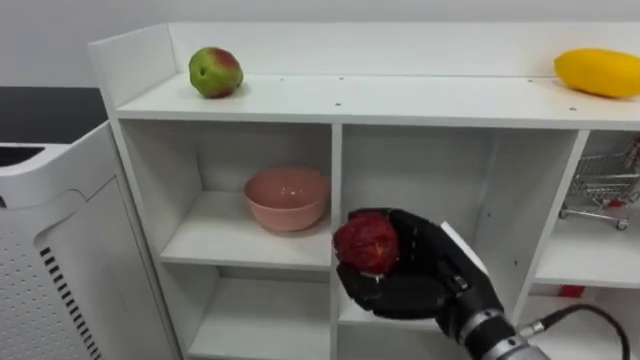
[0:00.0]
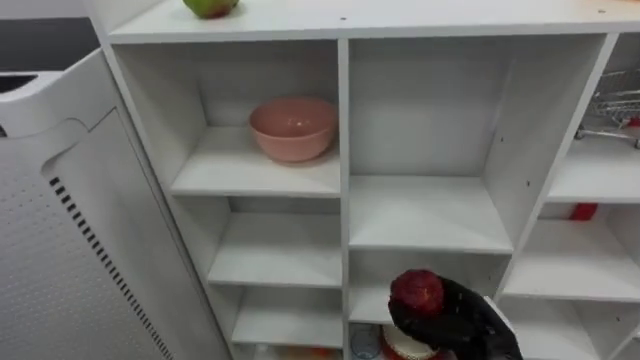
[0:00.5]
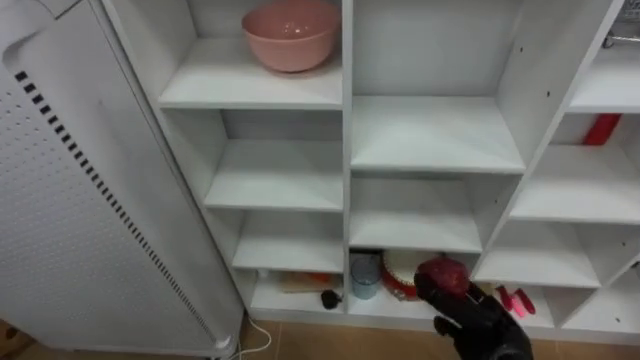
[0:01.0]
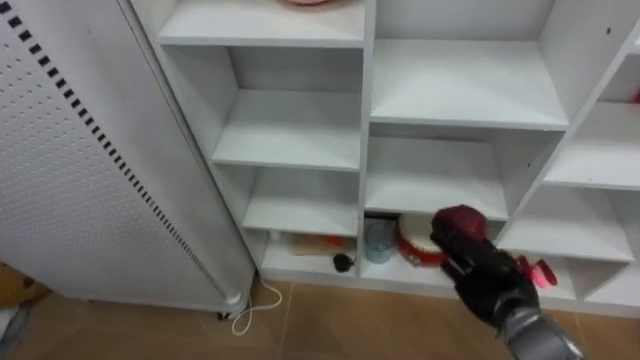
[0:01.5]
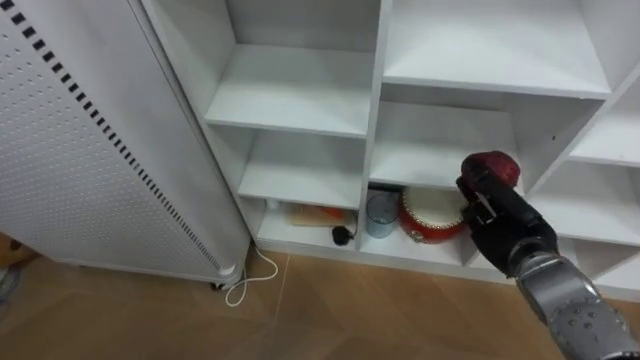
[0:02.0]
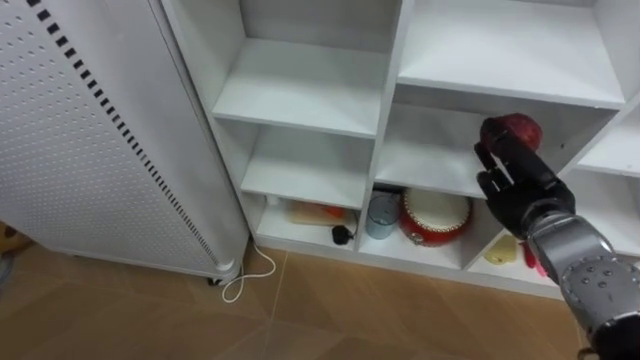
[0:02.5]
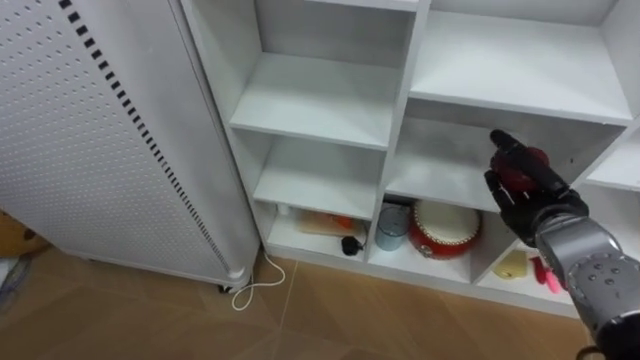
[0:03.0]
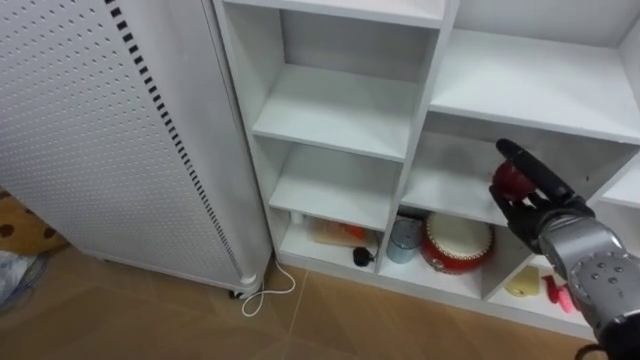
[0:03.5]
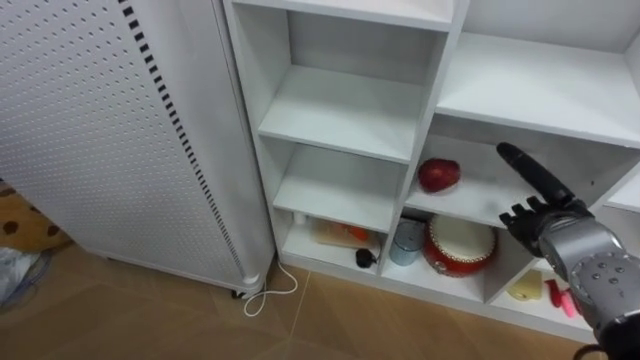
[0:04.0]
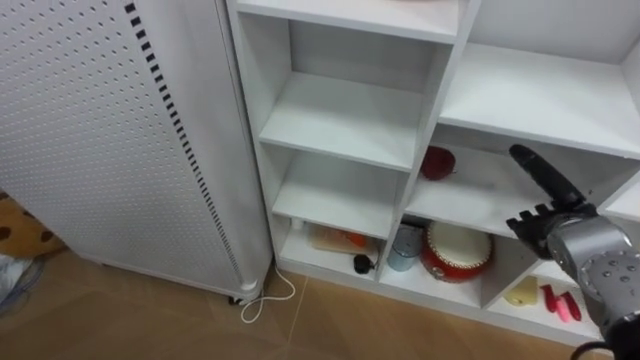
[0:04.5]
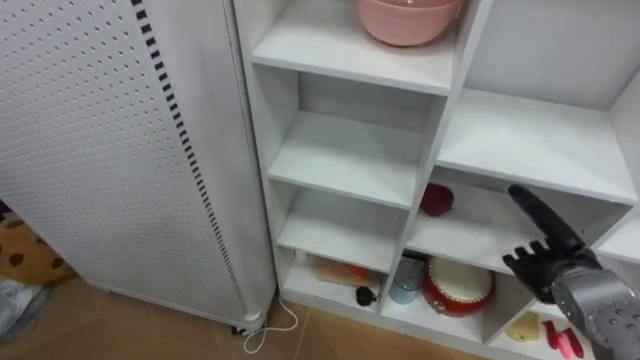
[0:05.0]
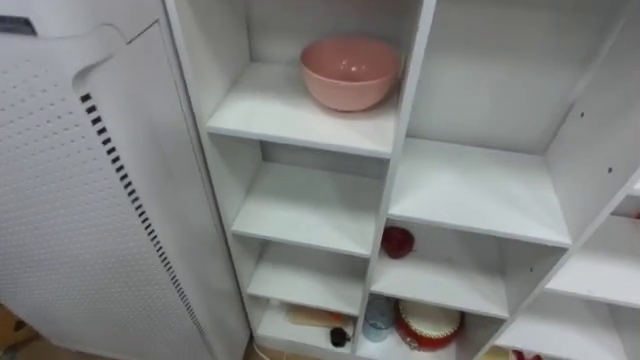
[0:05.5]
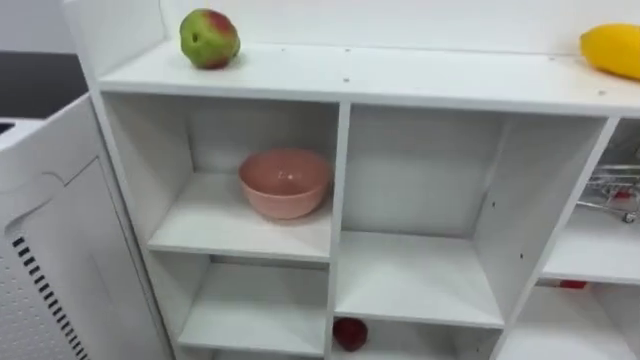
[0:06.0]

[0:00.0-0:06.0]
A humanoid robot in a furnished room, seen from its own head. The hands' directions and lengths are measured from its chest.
Task of the whole recording: Put the apple in the cell in the second column from the left and the second row from the top.
0:00.0 to 0:02.0: The right hand goes some 15 cm to the right and forward, and travels downward and back again, roughly 15 cm each way.
0:02.0 to 0:04.0: The right hand opens.

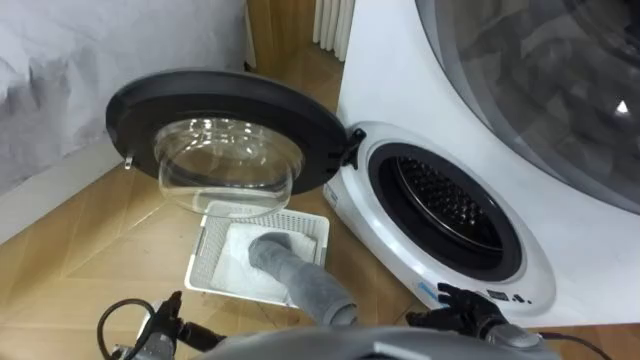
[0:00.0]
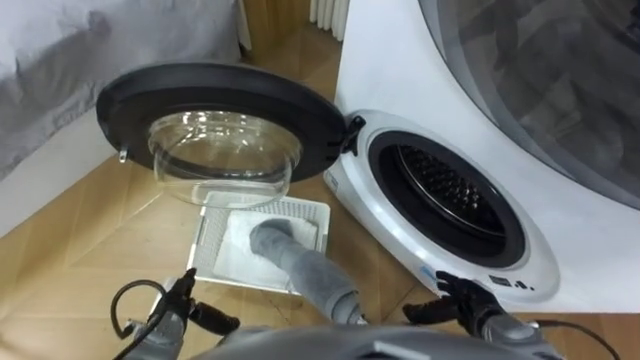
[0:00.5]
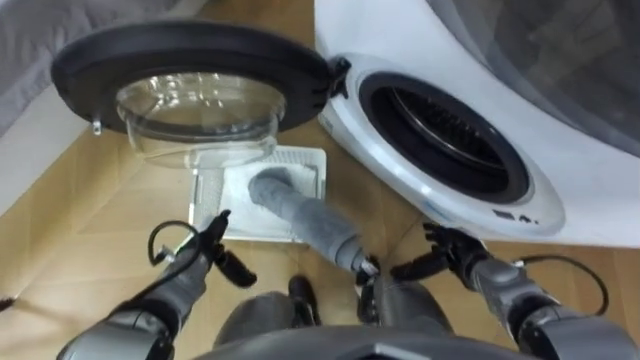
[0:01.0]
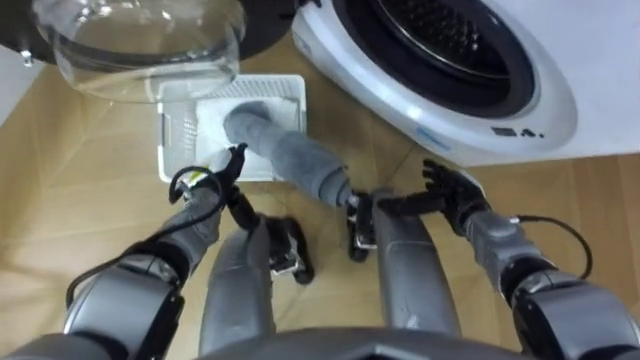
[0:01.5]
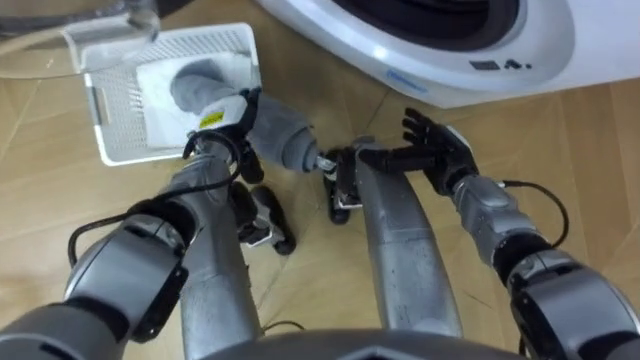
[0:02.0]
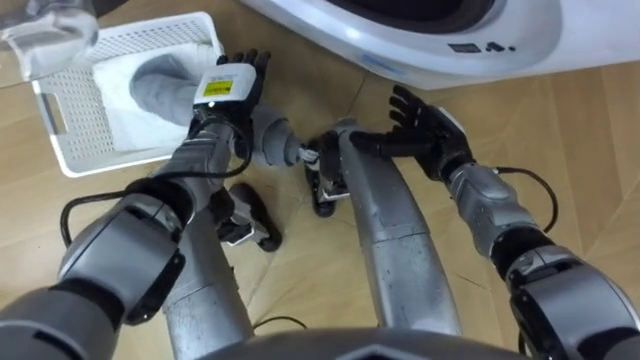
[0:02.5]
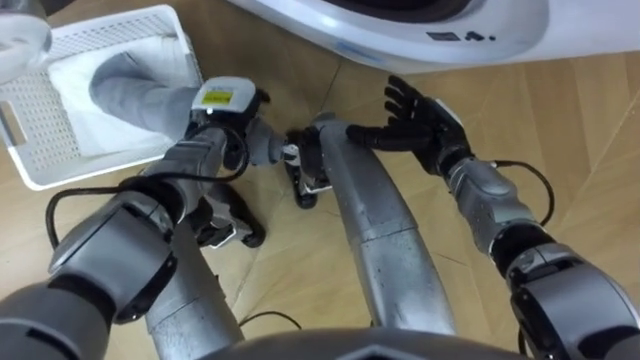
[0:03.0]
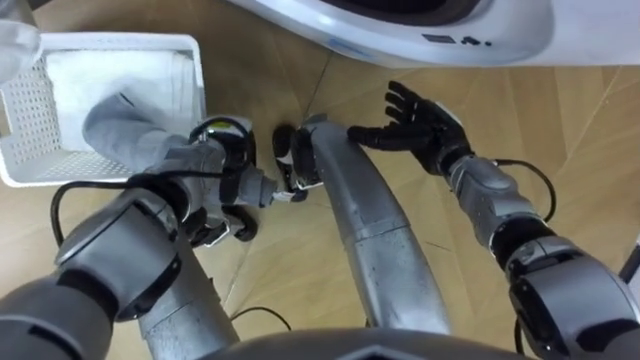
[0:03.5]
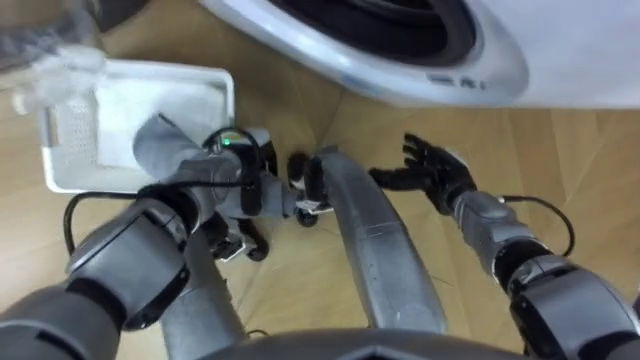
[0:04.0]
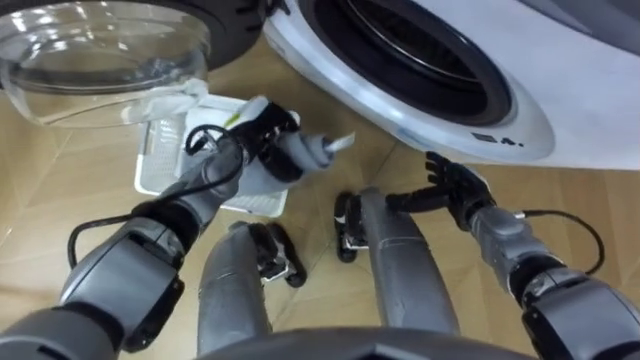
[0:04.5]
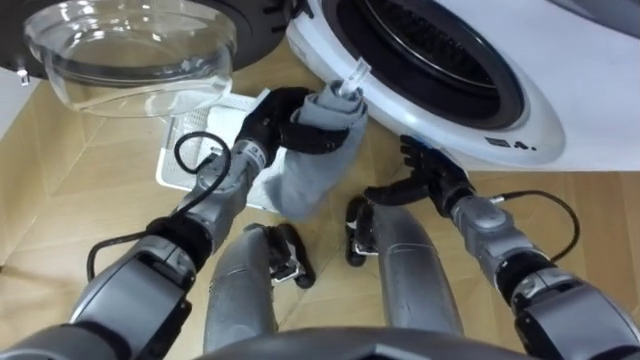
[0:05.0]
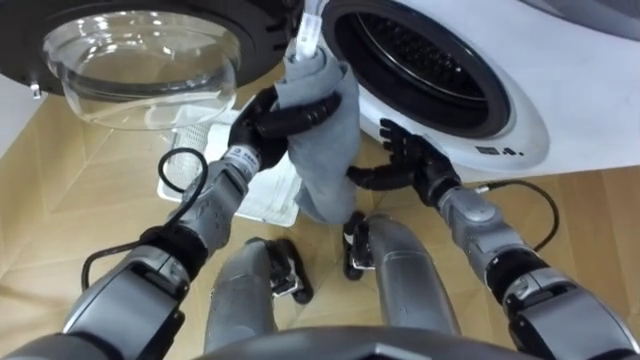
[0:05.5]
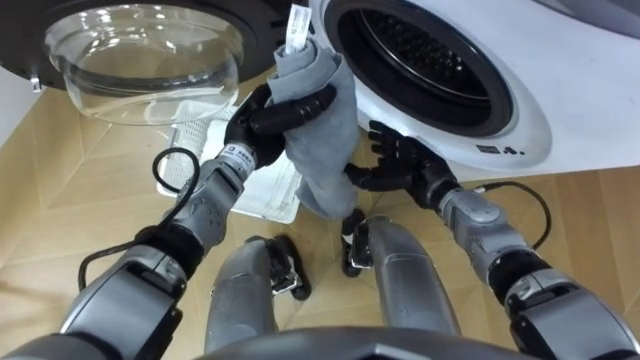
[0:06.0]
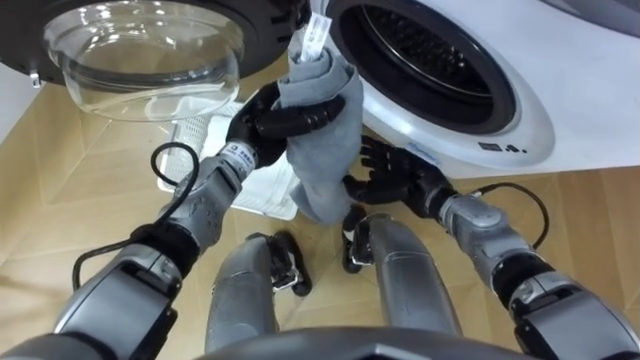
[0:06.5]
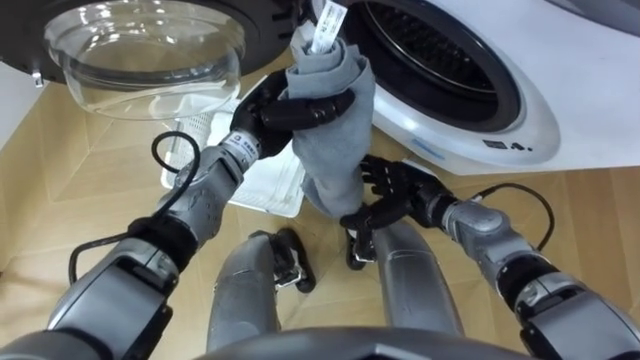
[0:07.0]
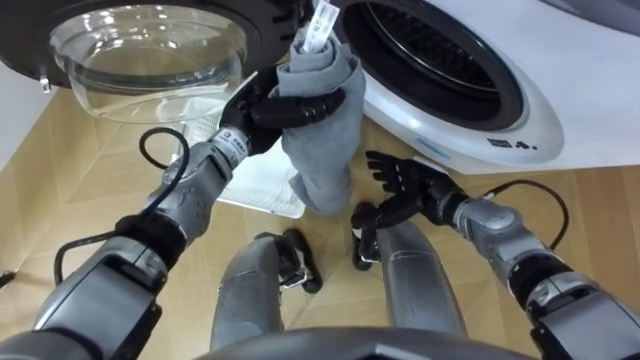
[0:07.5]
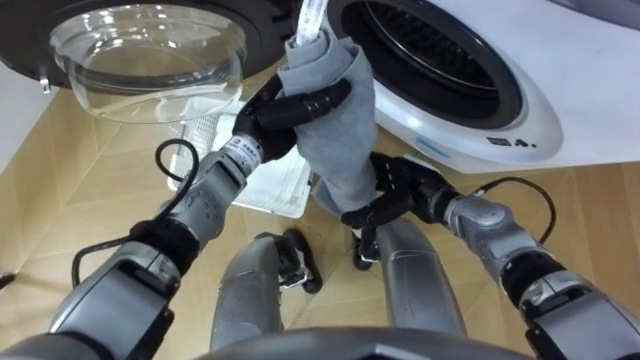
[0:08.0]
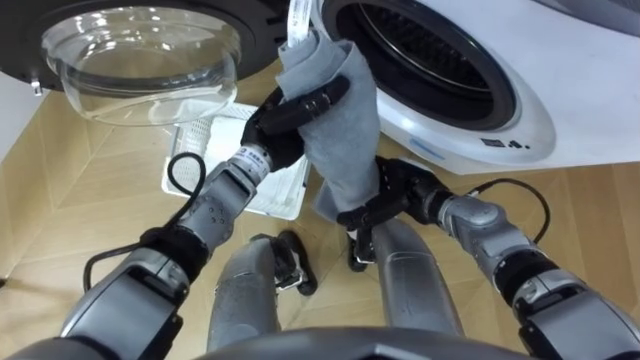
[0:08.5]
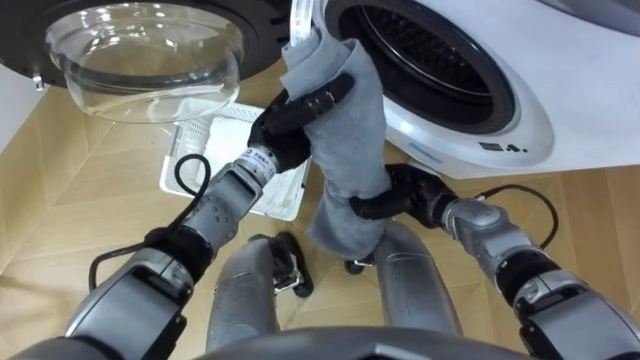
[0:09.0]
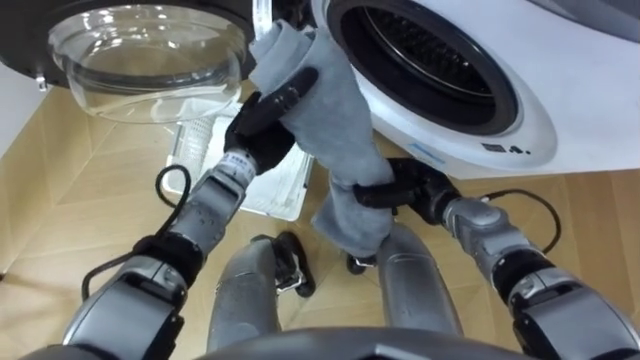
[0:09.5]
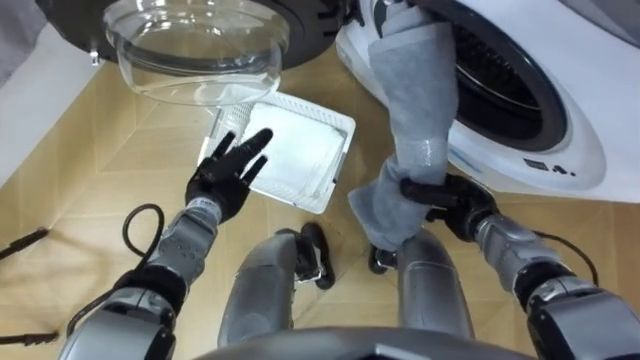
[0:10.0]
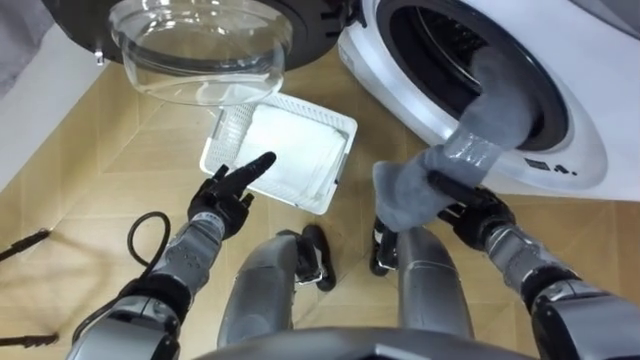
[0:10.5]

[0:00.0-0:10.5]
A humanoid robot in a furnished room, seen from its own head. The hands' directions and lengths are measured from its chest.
Task of the whole recording: Take the towel from the basket and put it into the washing machine.
0:02.0 to 0:04.0: The left hand closes up.
0:04.0 to 0:06.5: The left hand moves upward, some 5 cm; the right hand moves about 5 cm.
0:08.5 to 0:10.5: The left hand goes approximately 20 cm downward, to the left and backward, and opens. The right hand shifts approximately 10 cm to the right, and closes up.

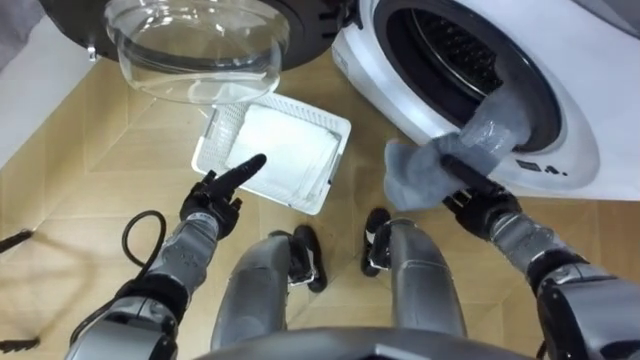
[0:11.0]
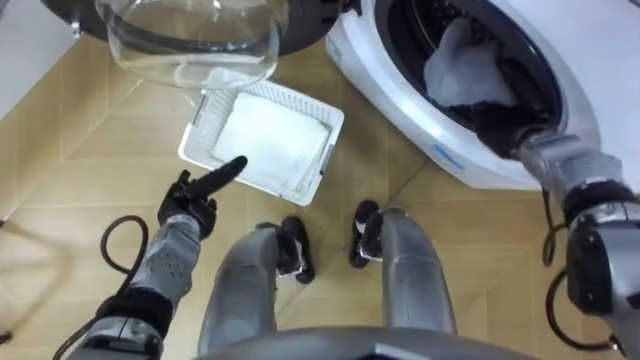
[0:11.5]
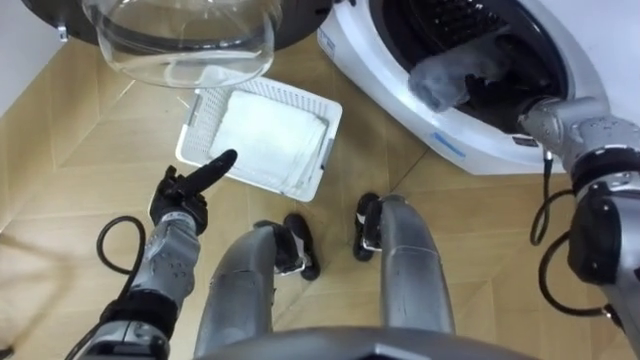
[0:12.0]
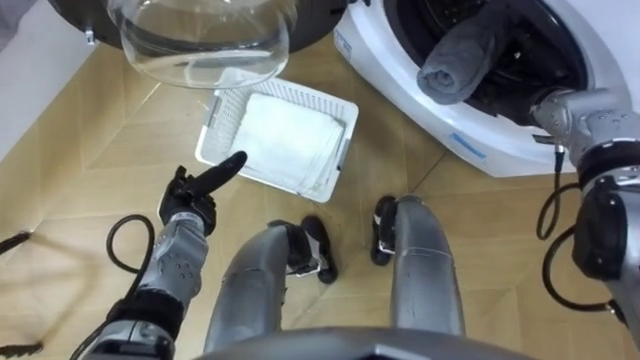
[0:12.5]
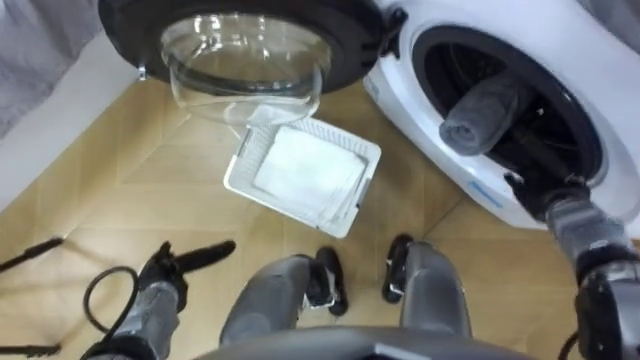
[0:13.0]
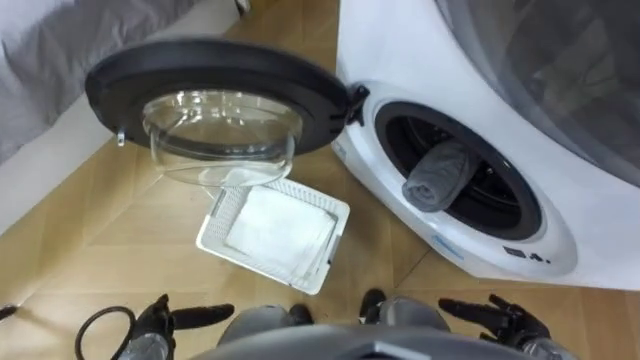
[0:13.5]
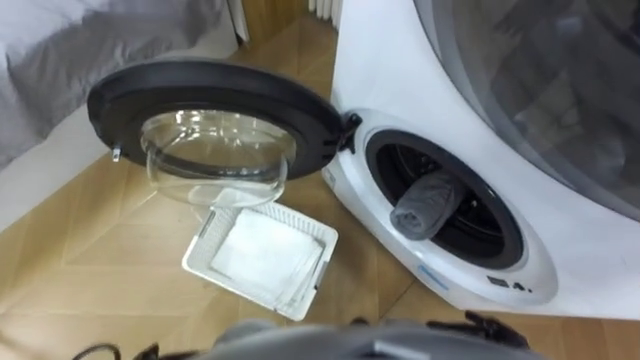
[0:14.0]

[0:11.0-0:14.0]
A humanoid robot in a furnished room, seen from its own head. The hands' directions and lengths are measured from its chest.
Task of the whole recording: Take the towel from the basket and put it into the washing machine.
0:11.0 to 0:12.5: The right hand goes approximately 15 cm upward and forward, and opens up.
0:12.5 to 0:14.0: The right hand is displaced backward and downward by approximately 40 cm.
